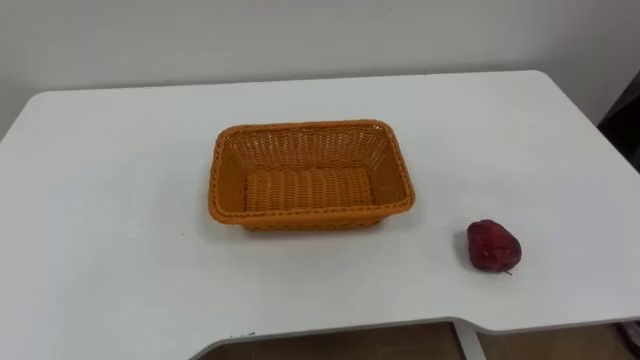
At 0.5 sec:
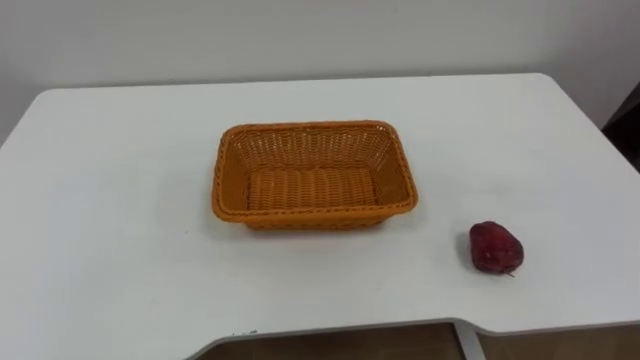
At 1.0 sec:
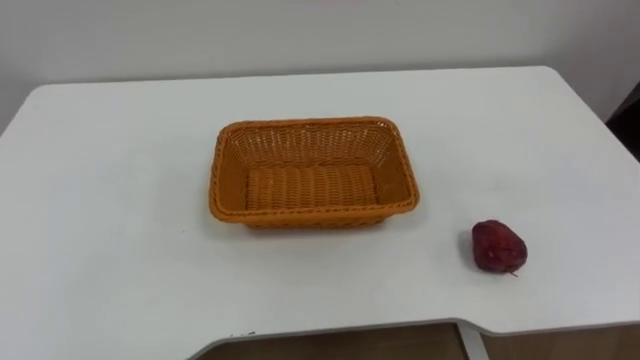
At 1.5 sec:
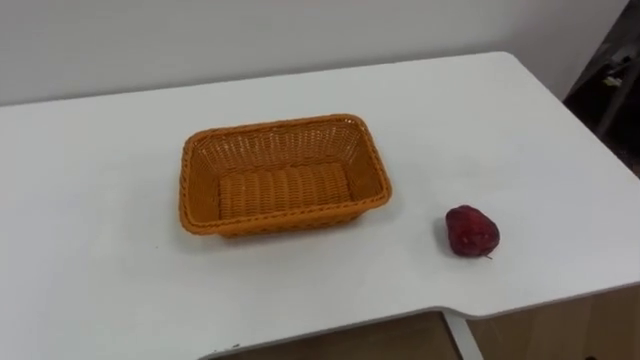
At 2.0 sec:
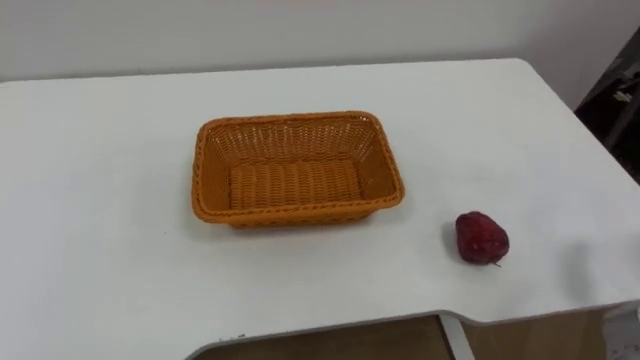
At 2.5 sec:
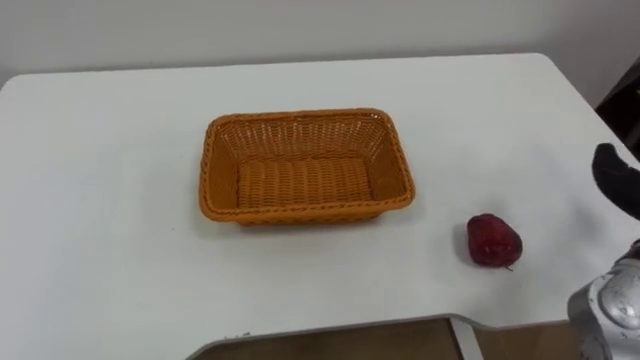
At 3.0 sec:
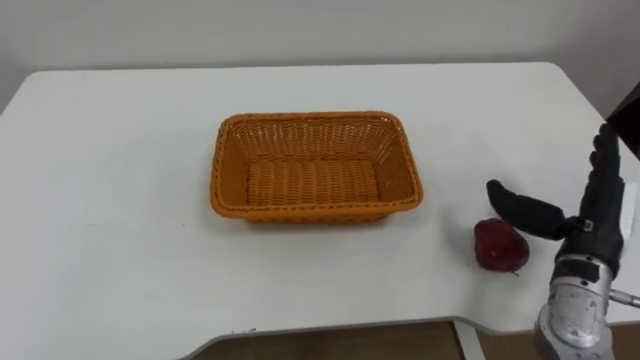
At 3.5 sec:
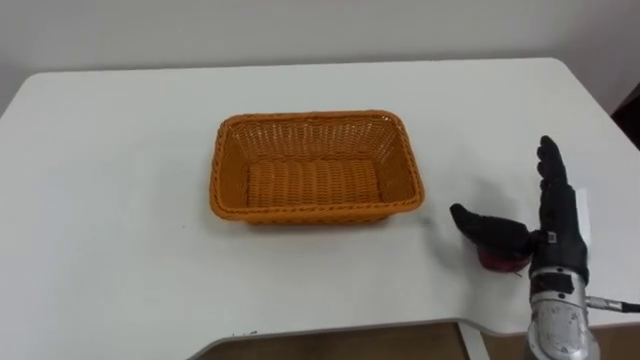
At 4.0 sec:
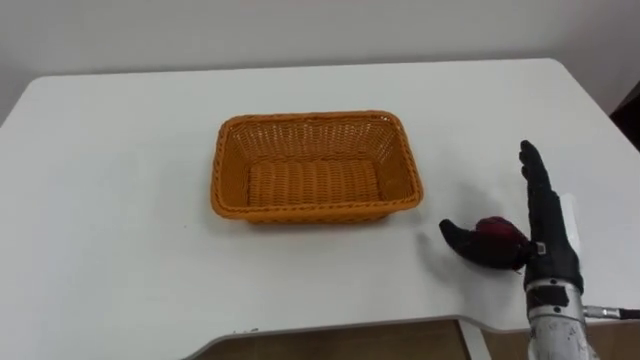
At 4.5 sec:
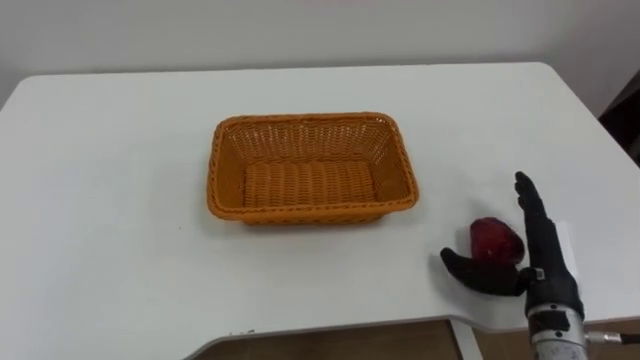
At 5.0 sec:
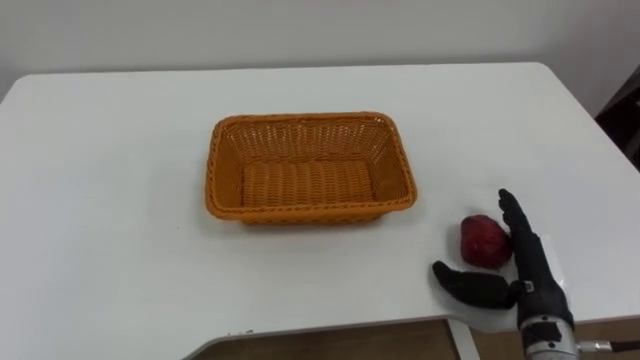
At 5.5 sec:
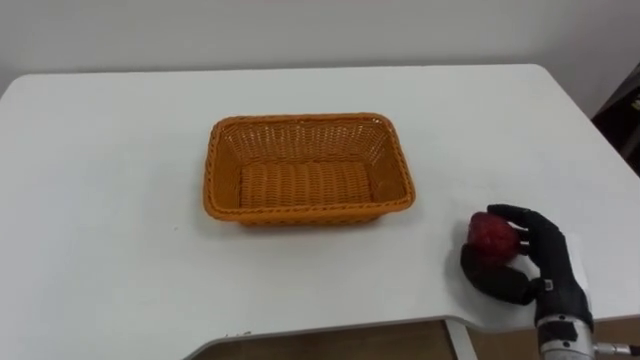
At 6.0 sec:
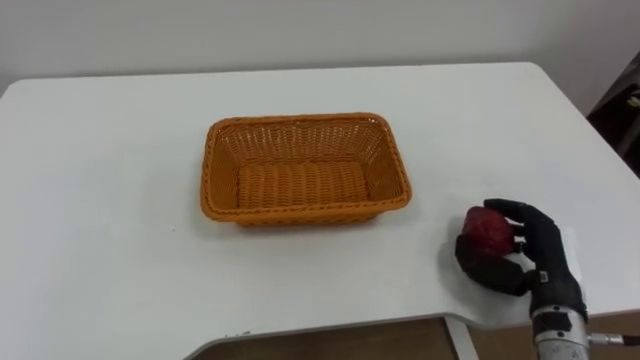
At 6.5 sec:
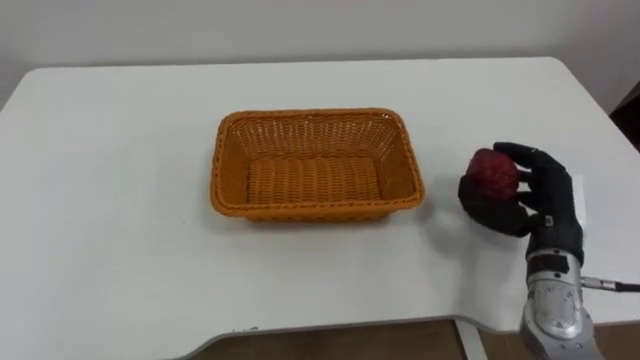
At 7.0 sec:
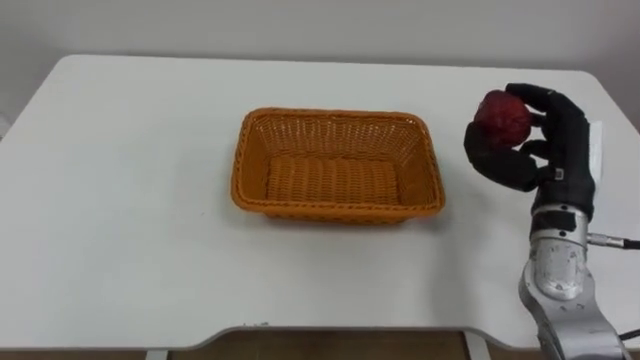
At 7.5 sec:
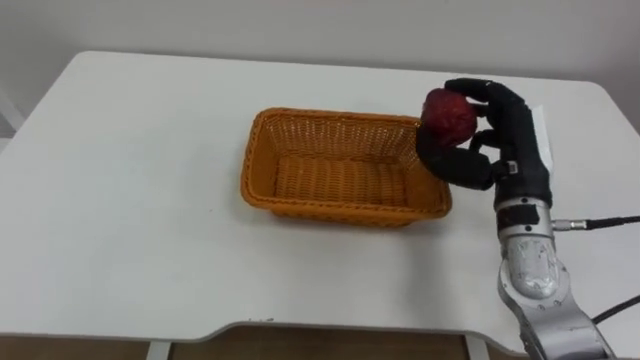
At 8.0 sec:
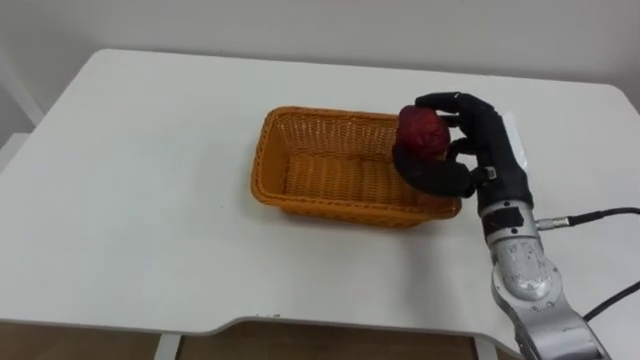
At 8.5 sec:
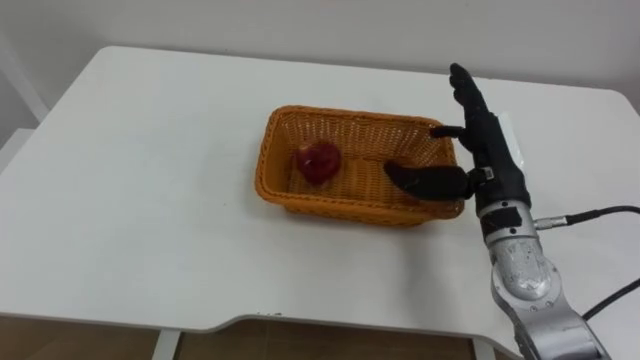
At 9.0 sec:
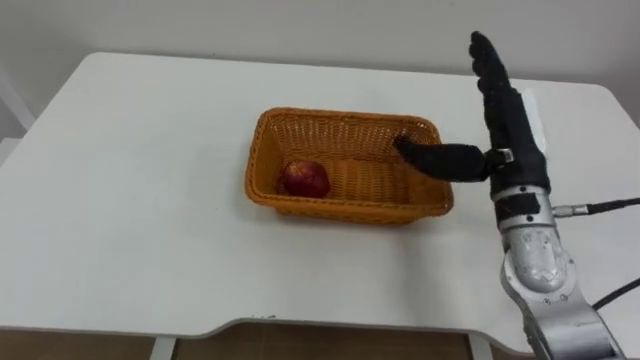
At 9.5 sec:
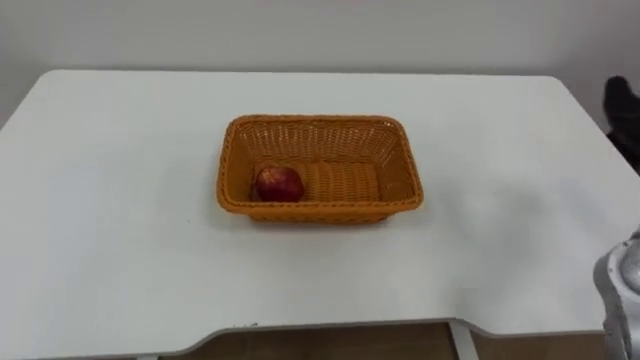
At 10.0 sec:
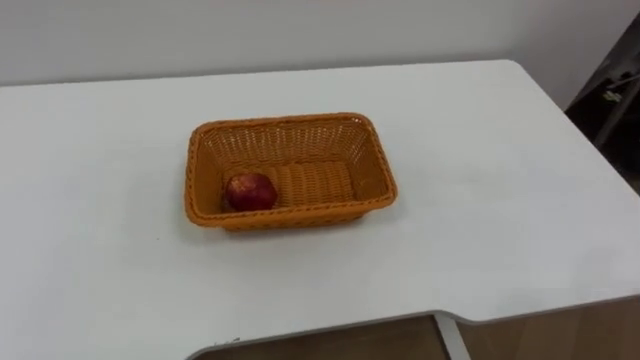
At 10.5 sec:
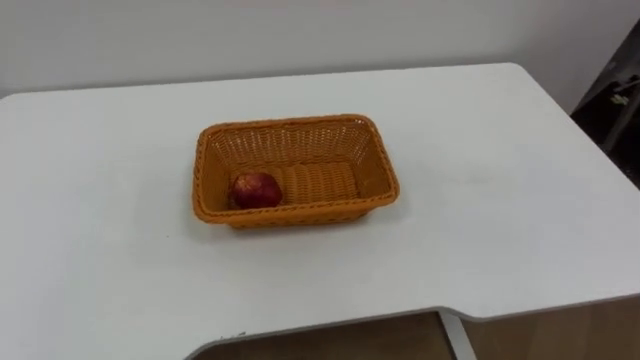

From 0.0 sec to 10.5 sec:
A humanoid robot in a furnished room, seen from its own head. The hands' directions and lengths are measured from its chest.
Task of the whole recording: Pick the apple and place it in the box.
From 4.0 sec to 6.5 sec: The right hand closes up.
From 6.5 sec to 8.5 sec: The right hand travels to the left and upward by some 10 cm, and opens.

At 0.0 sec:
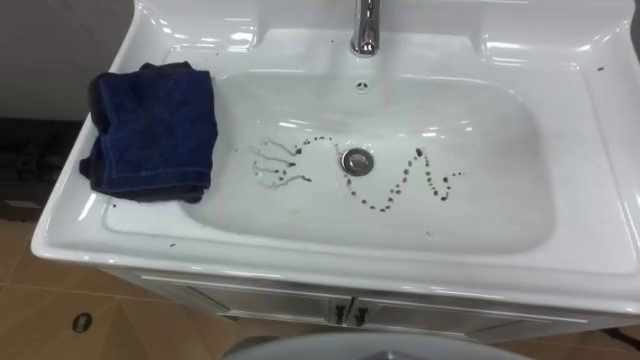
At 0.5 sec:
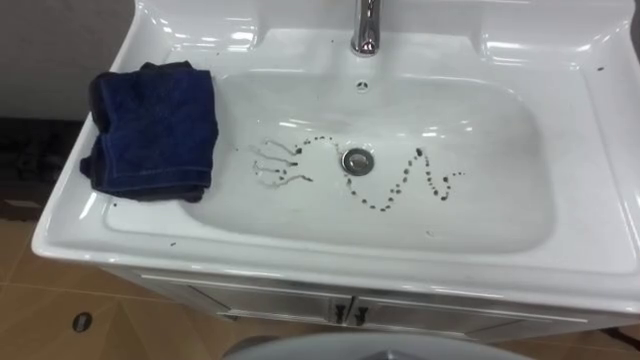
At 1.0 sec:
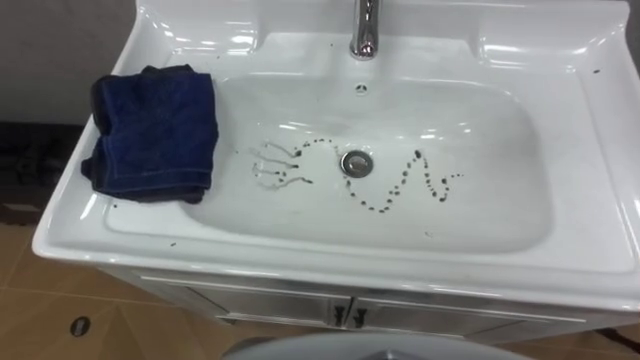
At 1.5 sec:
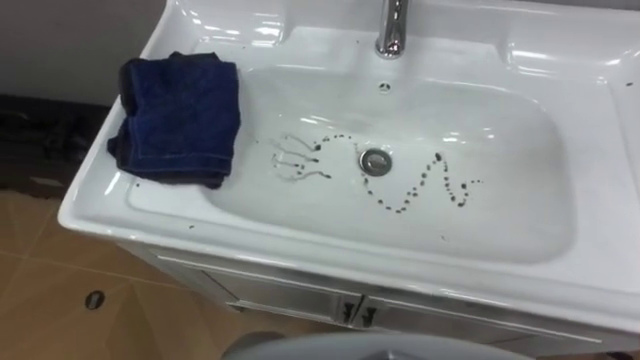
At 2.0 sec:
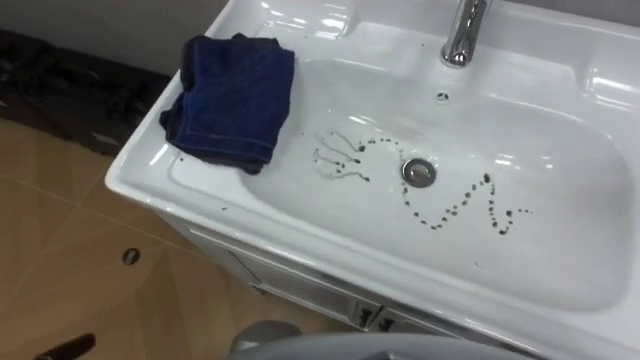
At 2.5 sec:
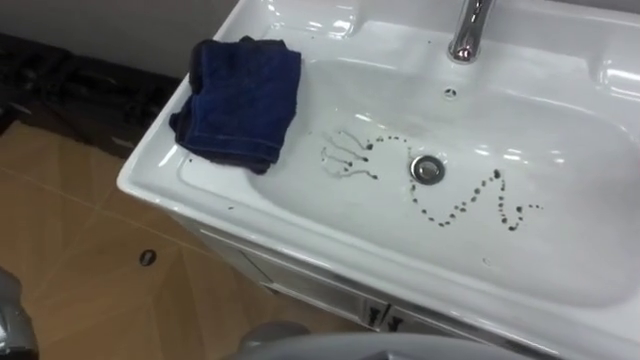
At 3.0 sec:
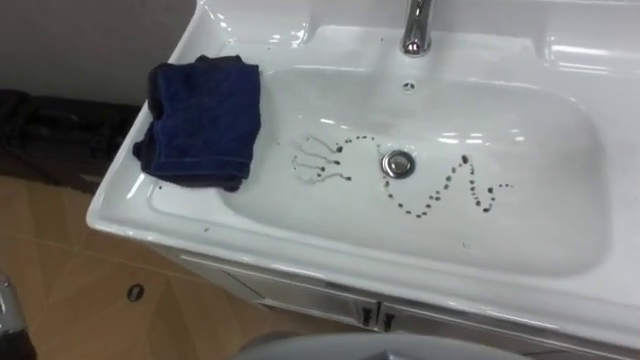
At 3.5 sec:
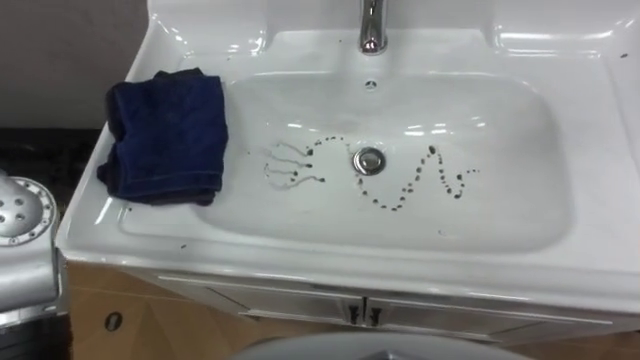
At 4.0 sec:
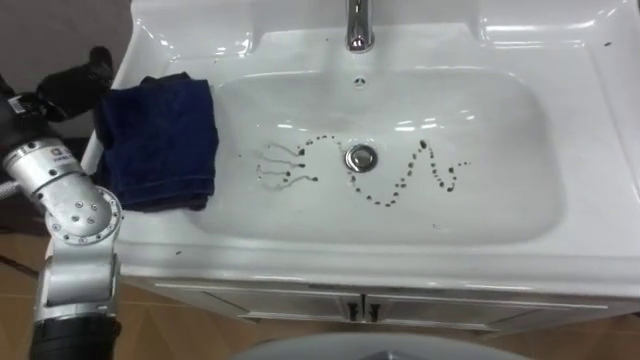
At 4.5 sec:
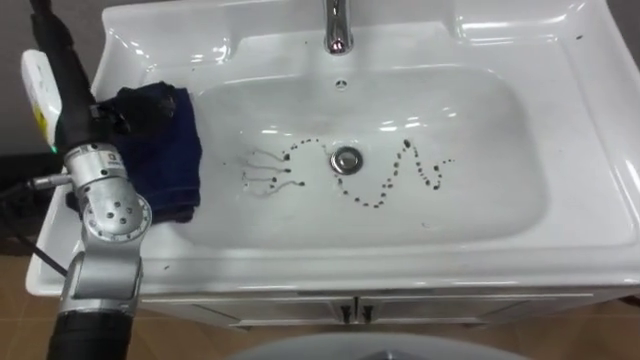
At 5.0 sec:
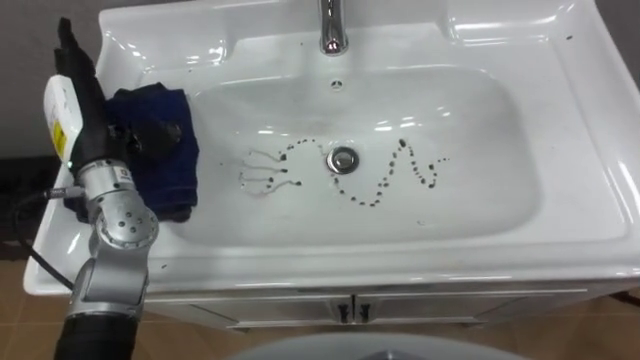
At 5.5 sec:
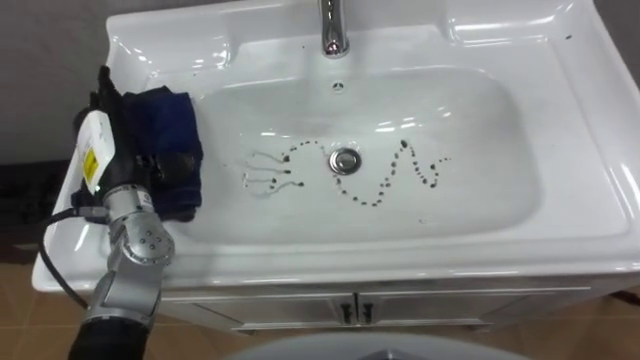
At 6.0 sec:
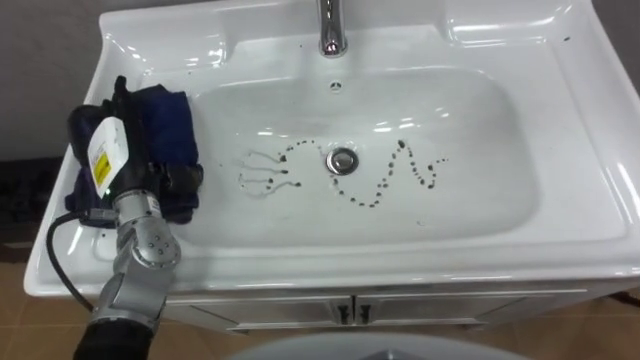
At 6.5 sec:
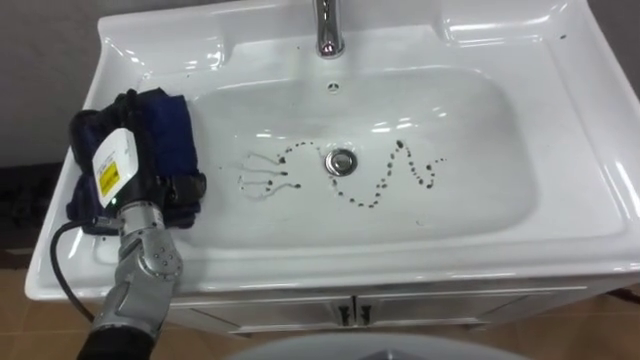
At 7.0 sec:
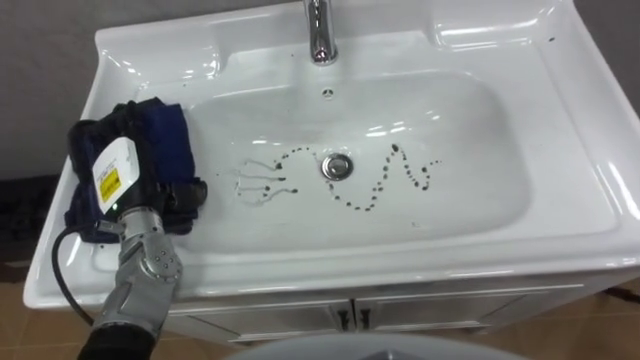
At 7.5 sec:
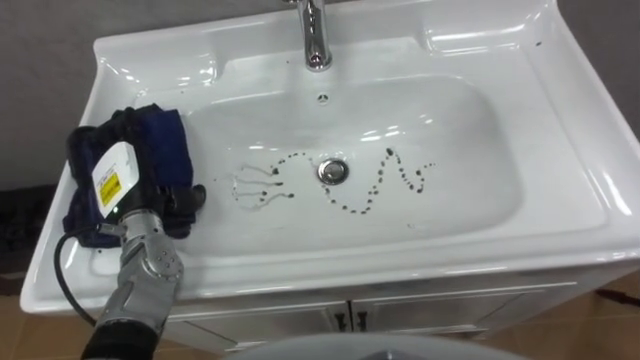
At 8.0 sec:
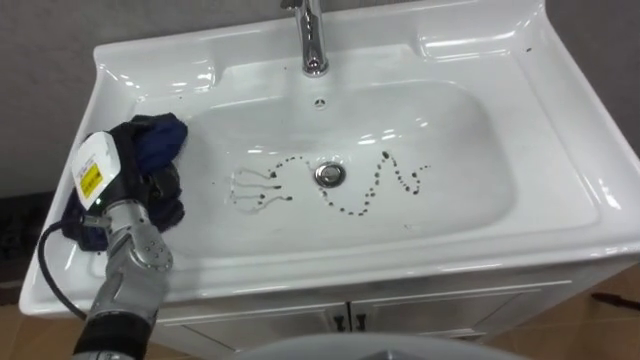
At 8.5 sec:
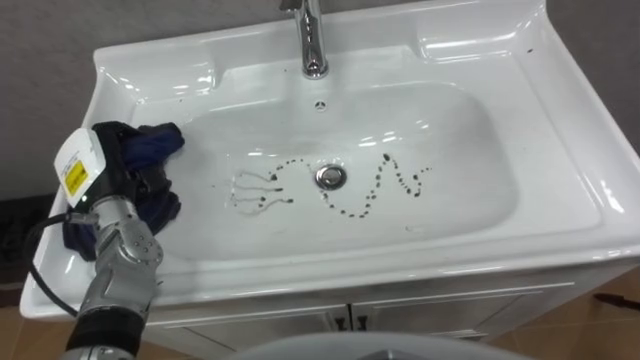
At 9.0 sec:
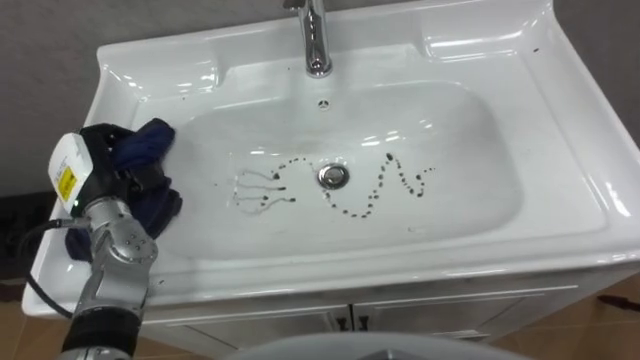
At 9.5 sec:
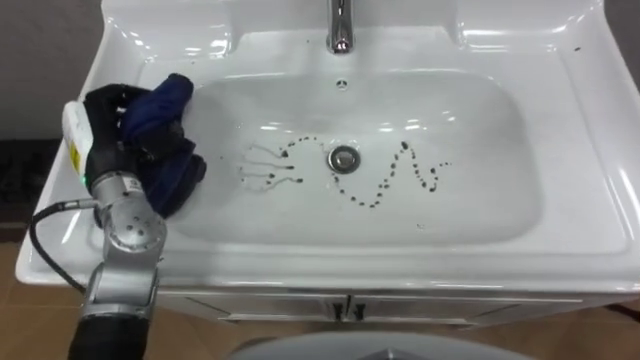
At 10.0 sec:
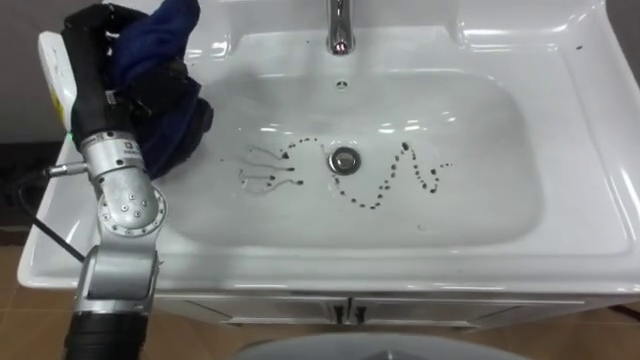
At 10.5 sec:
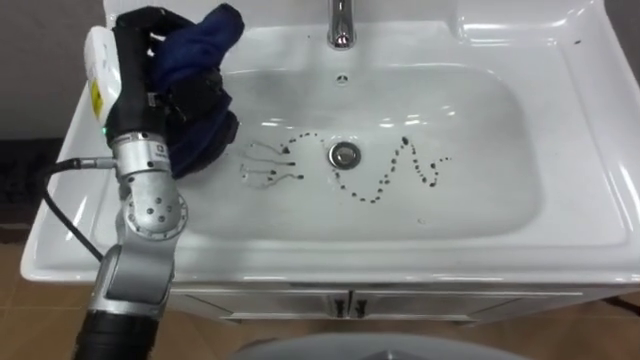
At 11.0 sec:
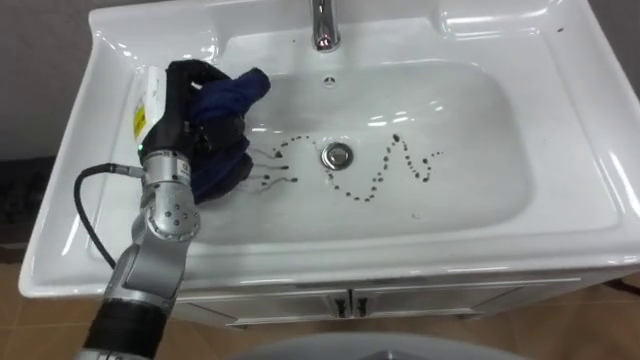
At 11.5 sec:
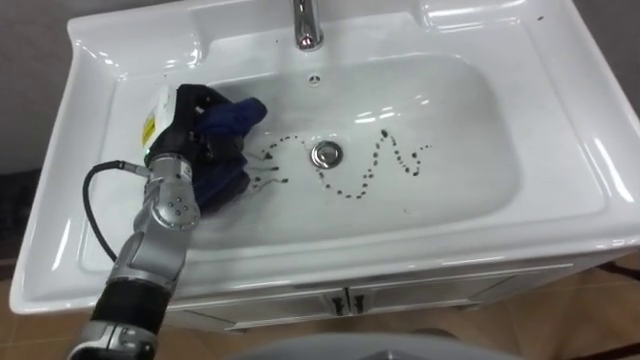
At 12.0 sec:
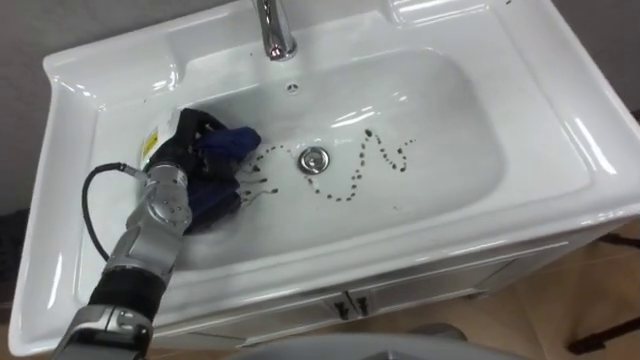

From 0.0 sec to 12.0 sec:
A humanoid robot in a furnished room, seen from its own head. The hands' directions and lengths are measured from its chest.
Task of the whole recording: Use the cloth on the right to wipe away the black stain in the sink.
From 6.0 sec to 8.0 sec: The left hand closes its fingers.
From 8.0 sec to 10.0 sec: The left hand shifts some 15 cm upward, and closes its fingers.
From 10.0 sec to 12.0 sec: The left hand goes roughly 15 cm downward.
